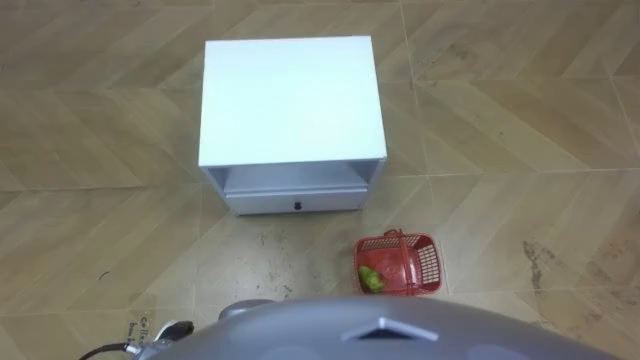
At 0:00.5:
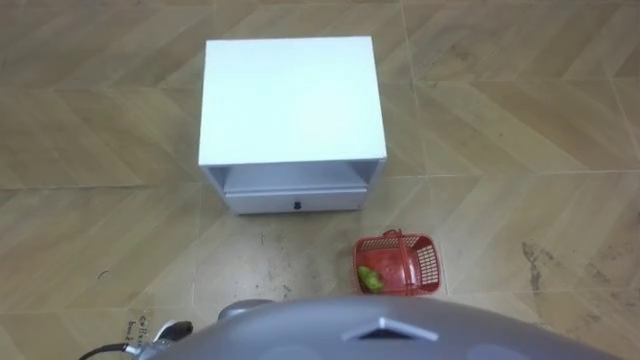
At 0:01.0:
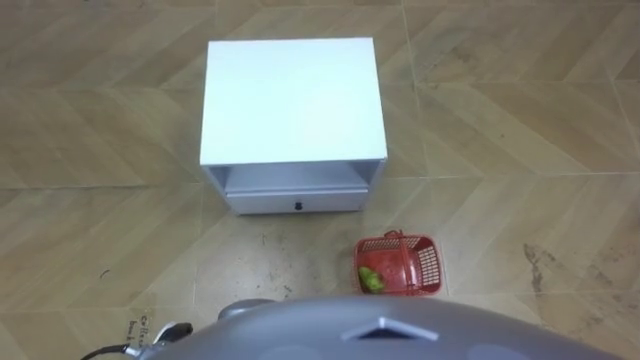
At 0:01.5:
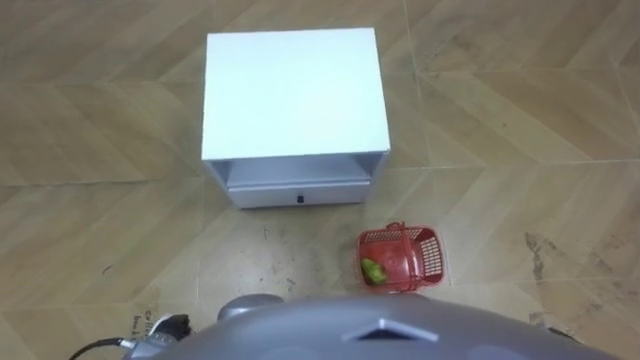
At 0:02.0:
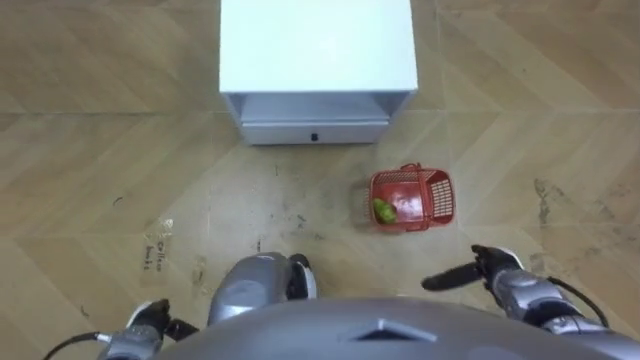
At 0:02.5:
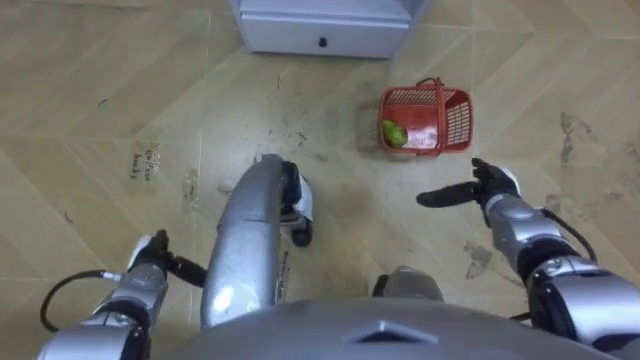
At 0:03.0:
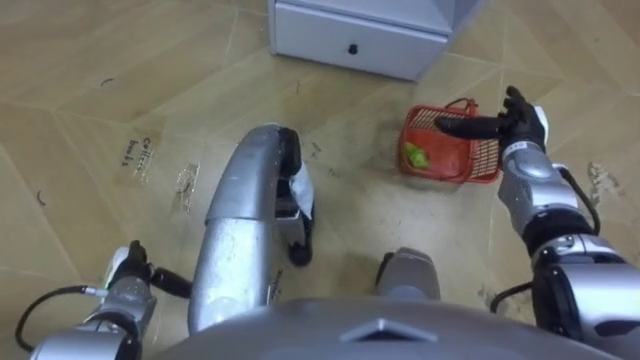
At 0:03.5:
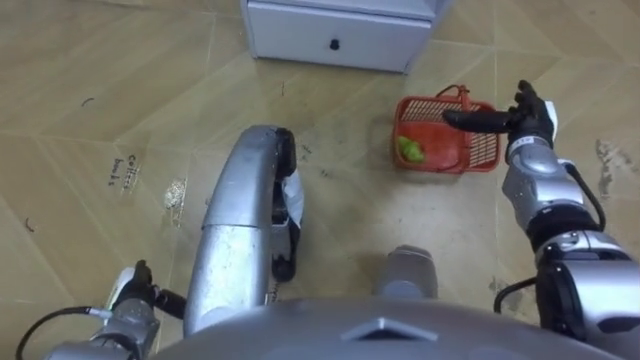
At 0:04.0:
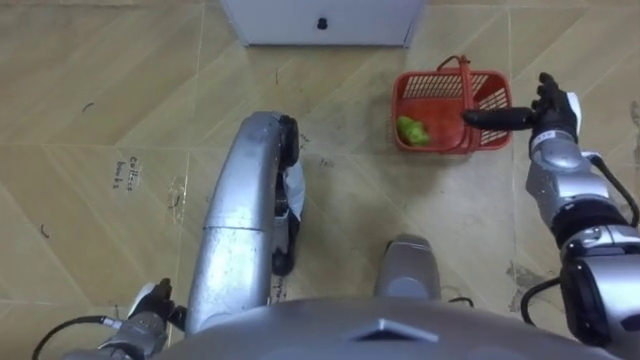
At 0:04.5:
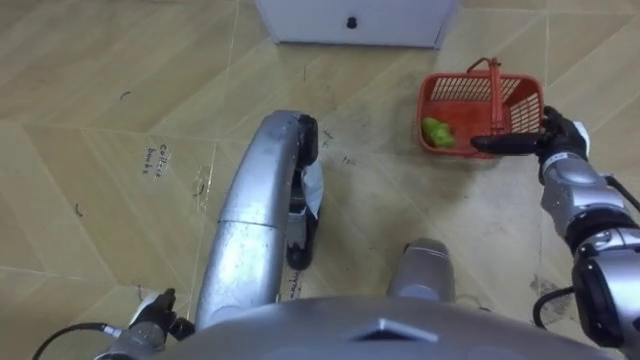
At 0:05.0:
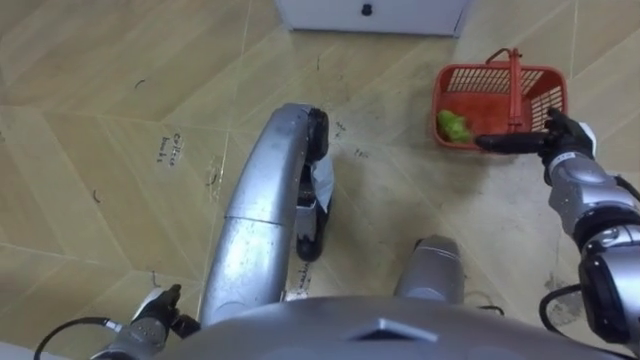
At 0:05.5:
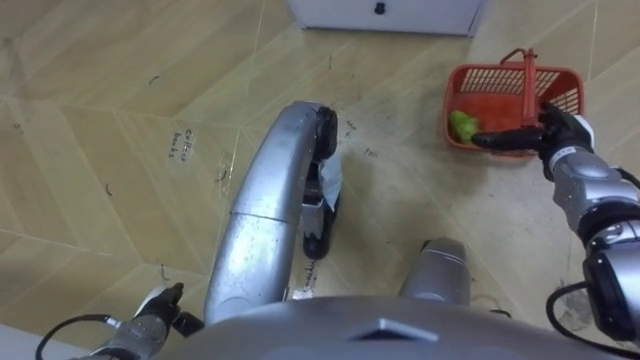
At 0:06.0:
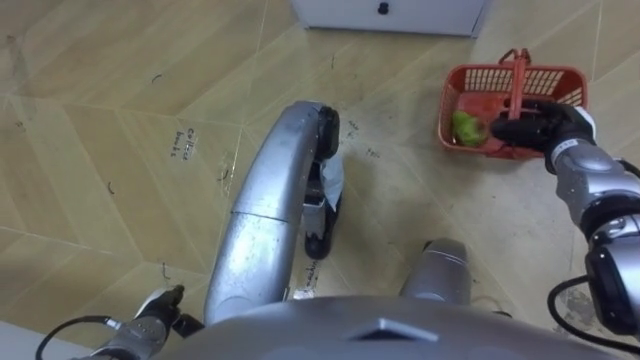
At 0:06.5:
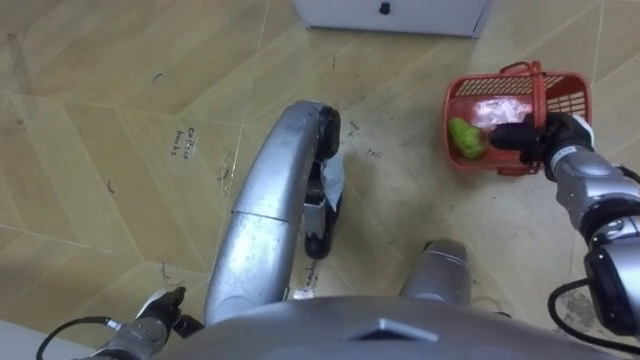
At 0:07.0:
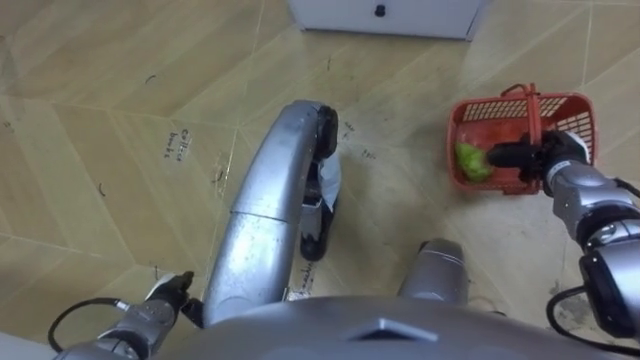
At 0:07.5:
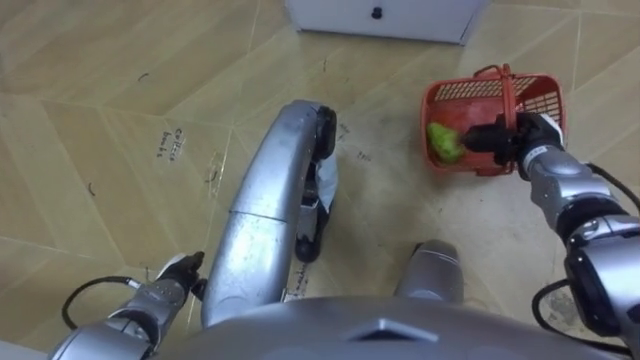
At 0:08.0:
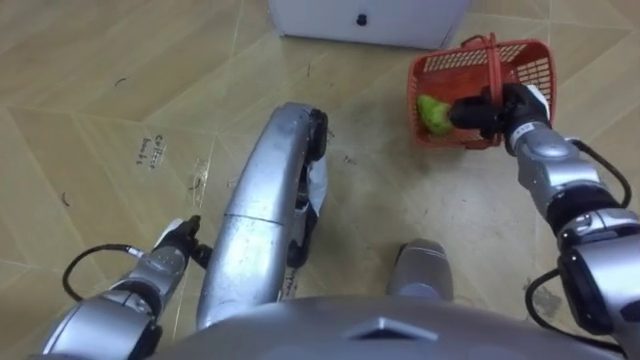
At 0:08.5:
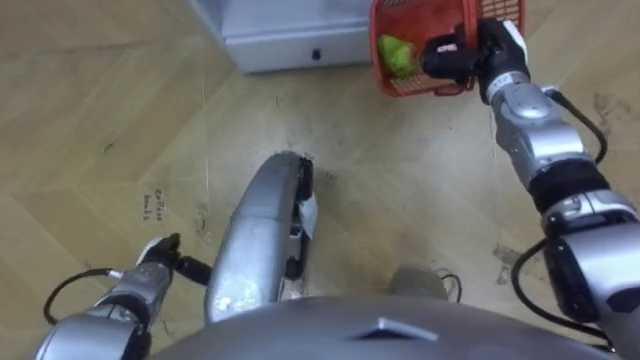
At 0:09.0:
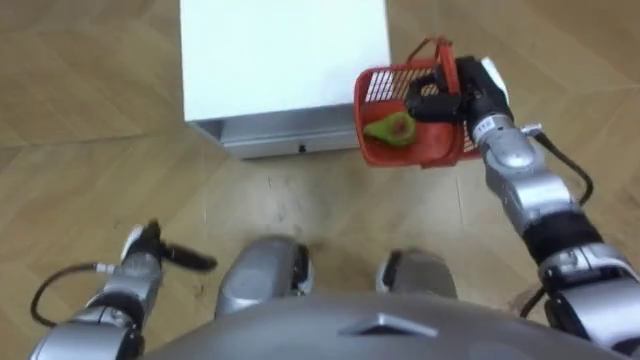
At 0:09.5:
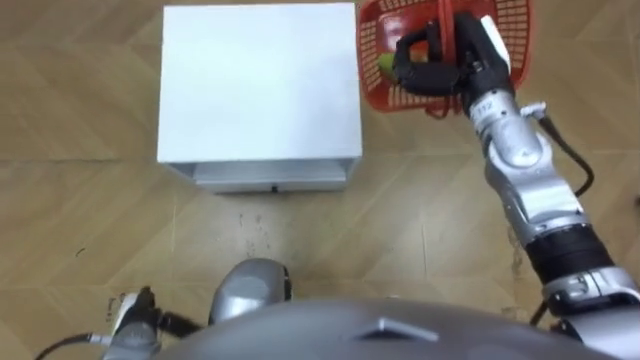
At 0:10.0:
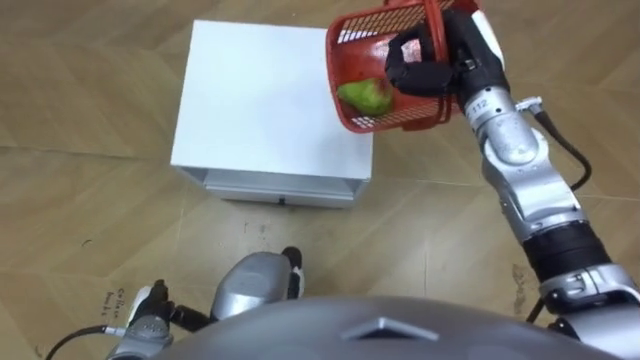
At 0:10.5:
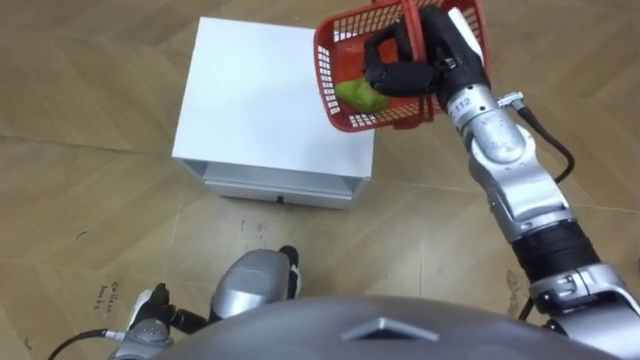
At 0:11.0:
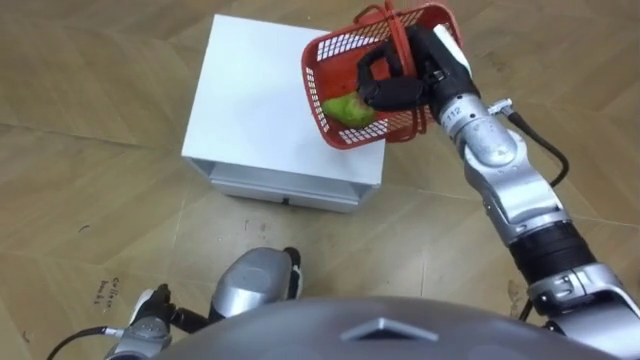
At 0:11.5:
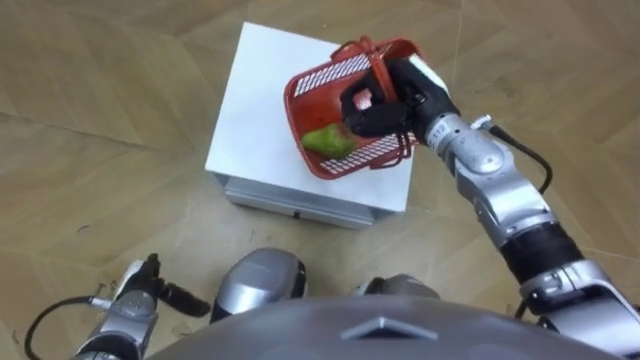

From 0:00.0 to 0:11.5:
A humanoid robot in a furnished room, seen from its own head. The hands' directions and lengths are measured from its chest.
Task of the whole recording: Pick up the fruit basket from the floor and place it on the cabinet.
From 0:02.0 to 0:04.0: The right hand travels forward and upward by some 25 cm; the left hand travels forward and back again, roughly 10 cm each way.
From 0:04.0 to 0:06.0: The right hand closes.
From 0:06.0 to 0:07.5: The right hand closes its fingers, while the left hand heads forward, covering roughly 5 cm.
From 0:07.5 to 0:09.5: The left hand moves backward and to the left, about 10 cm. The right hand shifts about 15 cm upward and to the left.
From 0:09.5 to 0:11.5: The right hand is displaced to the left by roughly 5 cm.

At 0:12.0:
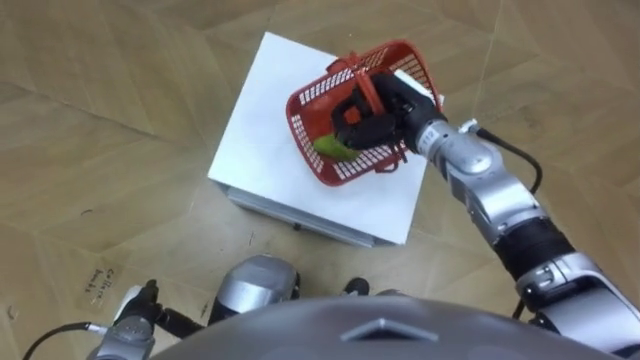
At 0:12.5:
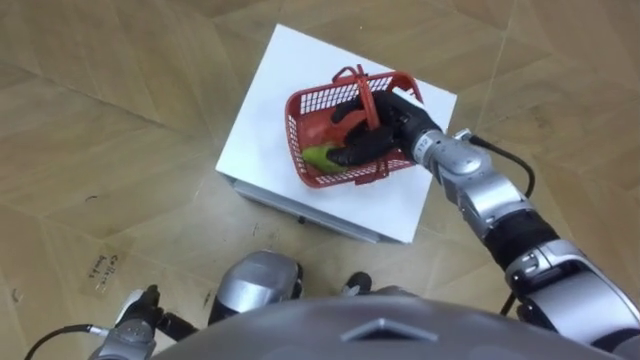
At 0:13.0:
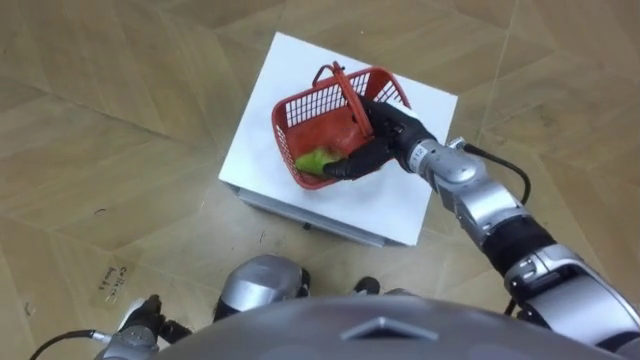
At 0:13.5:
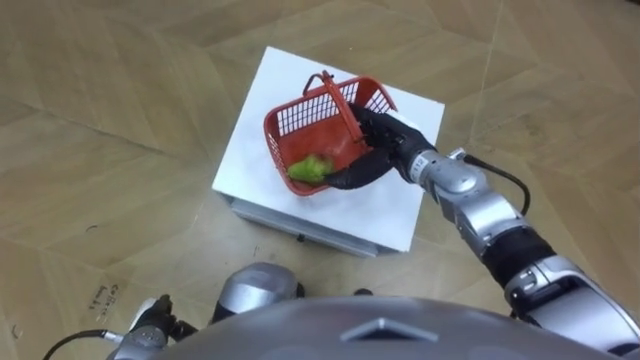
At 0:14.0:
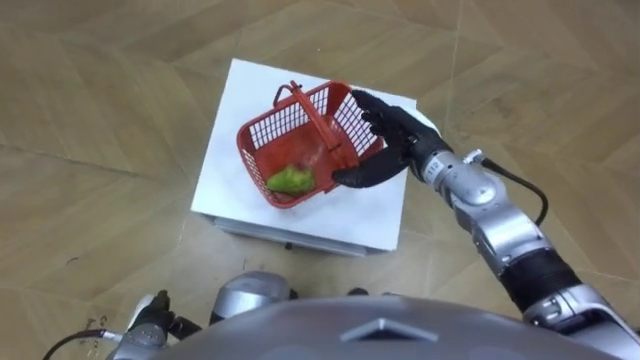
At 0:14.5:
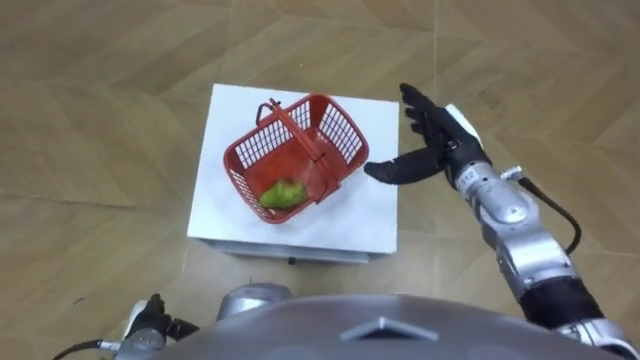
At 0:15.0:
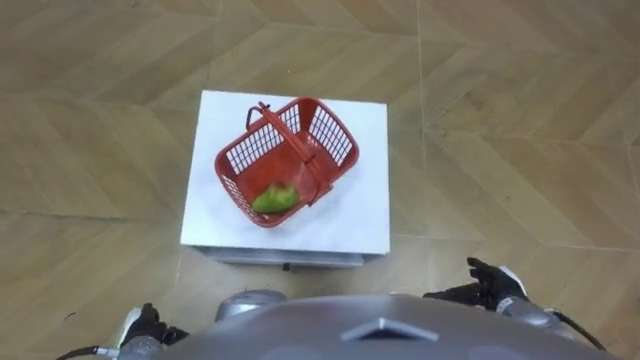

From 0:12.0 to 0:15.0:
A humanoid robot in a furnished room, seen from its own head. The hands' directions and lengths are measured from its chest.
Task of the whole recording: Pick up the fruit basket from the floor and place it on the cabinet.
From 0:12.0 to 0:13.5: The right hand moves about 5 cm, and opens up.
From 0:13.5 to 0:15.0: The right hand shifts about 30 cm backward, to the right and downward.

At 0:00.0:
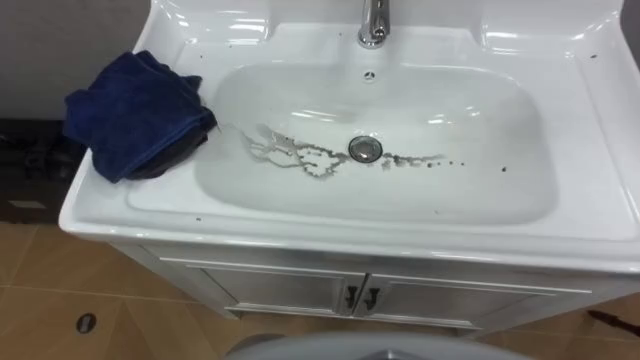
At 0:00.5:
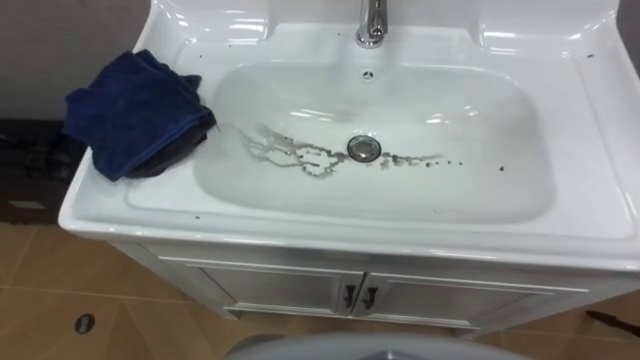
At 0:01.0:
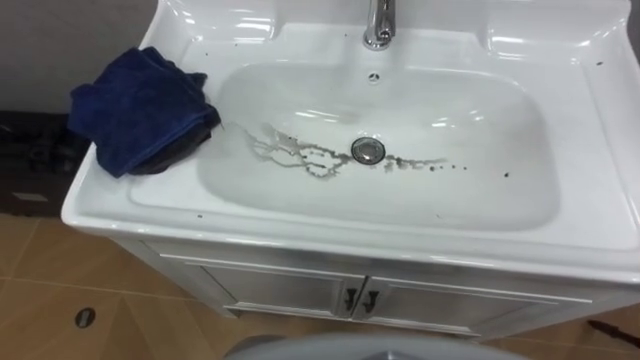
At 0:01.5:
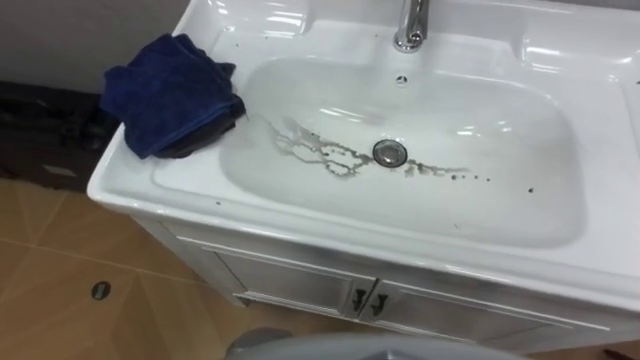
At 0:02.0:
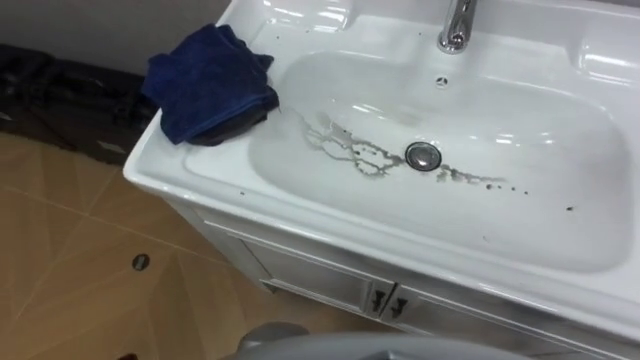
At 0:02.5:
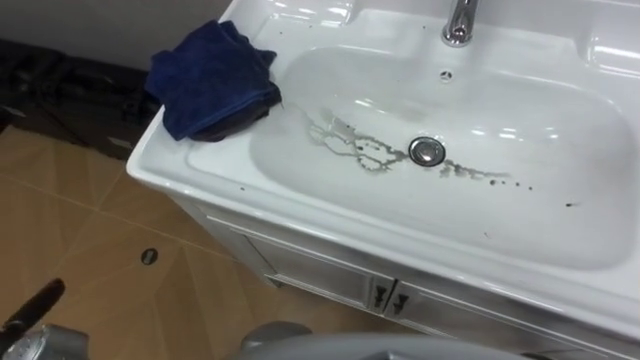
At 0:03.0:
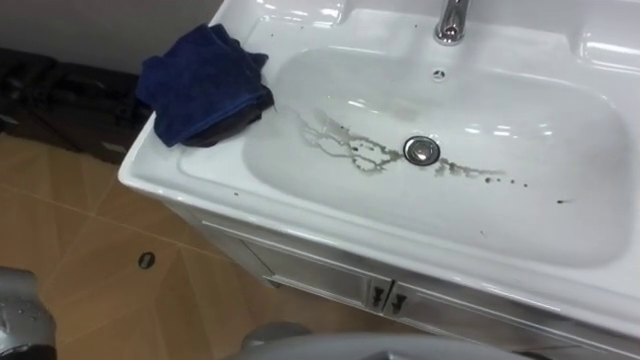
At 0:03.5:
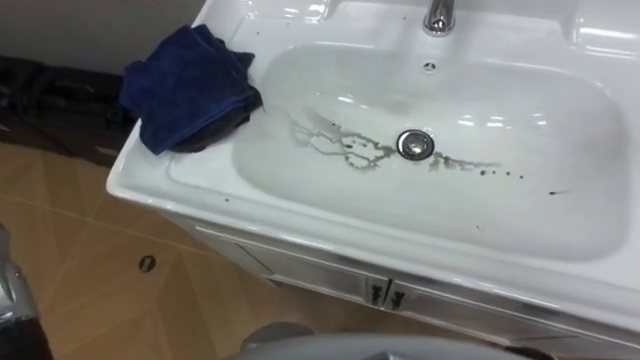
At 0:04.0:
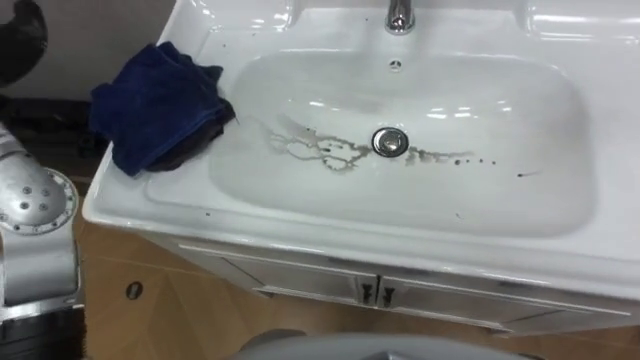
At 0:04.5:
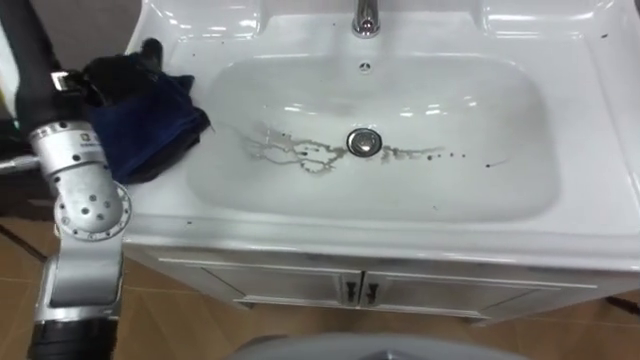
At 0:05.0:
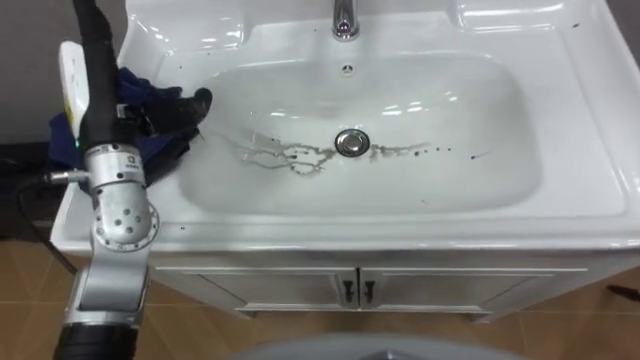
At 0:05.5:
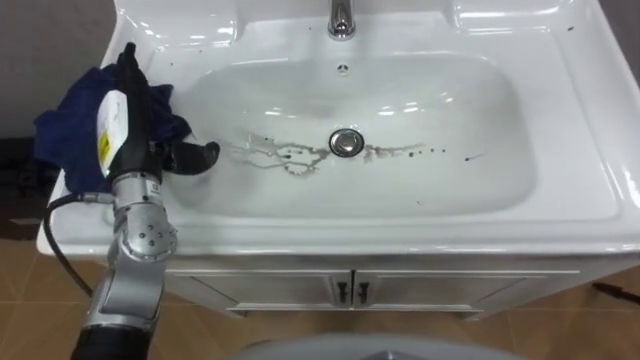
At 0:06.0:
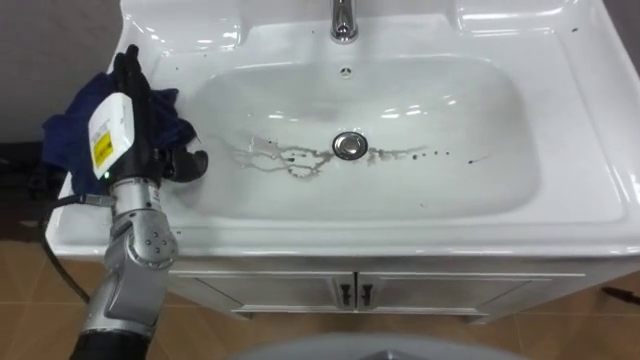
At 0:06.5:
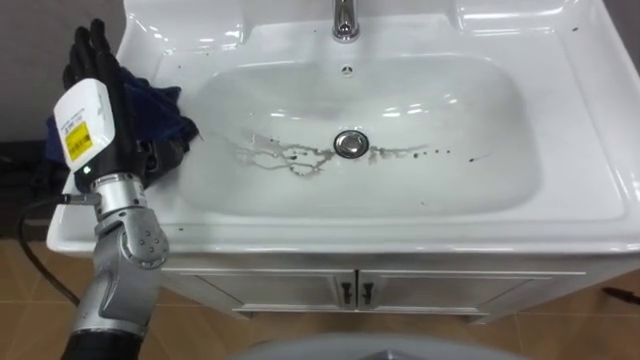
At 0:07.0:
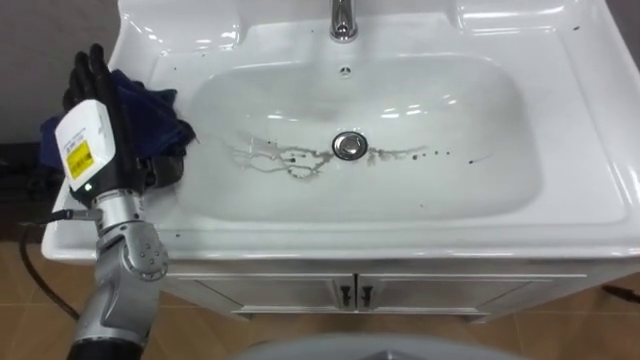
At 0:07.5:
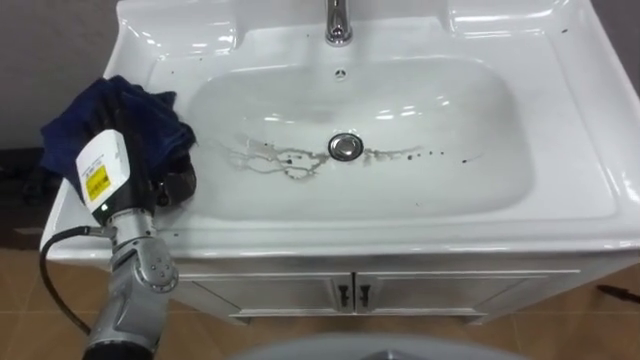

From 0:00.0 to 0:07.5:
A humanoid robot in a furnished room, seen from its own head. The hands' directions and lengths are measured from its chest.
Task of the whole recording: Use the cloth on the right to wipe away the black stain in the sink.
From 0:05.5 to 0:07.5: The left hand moves approximately 5 cm.
